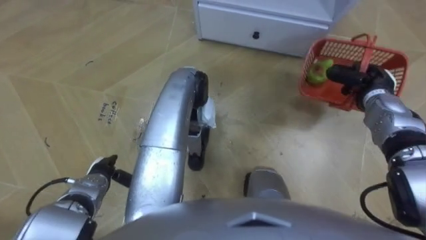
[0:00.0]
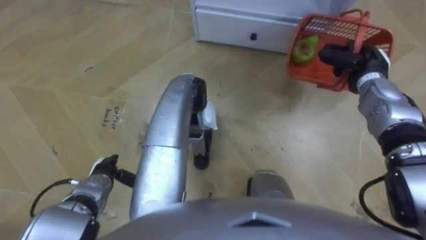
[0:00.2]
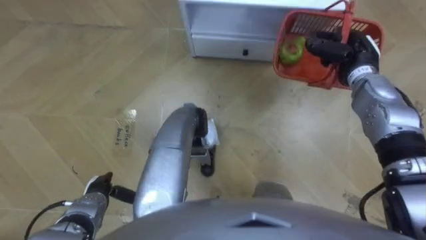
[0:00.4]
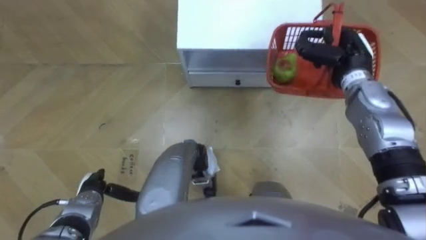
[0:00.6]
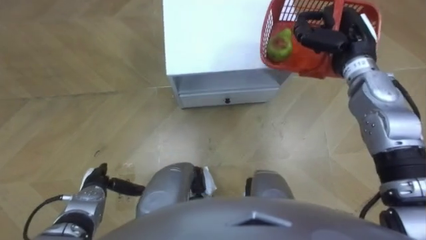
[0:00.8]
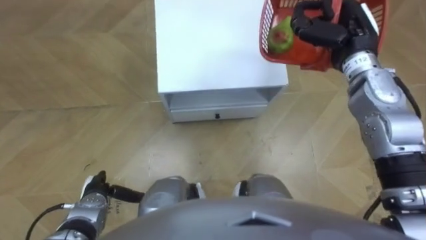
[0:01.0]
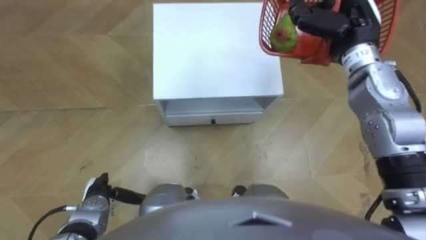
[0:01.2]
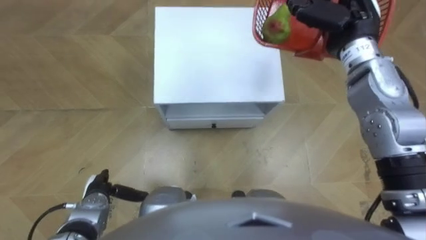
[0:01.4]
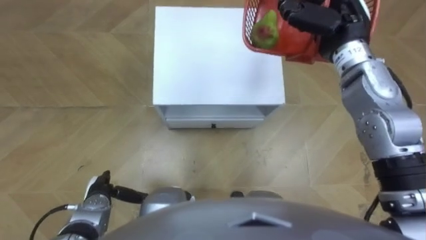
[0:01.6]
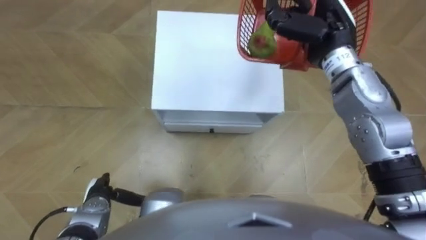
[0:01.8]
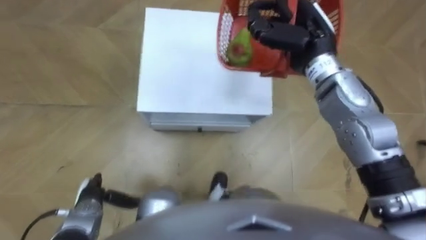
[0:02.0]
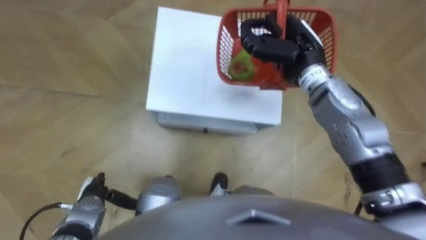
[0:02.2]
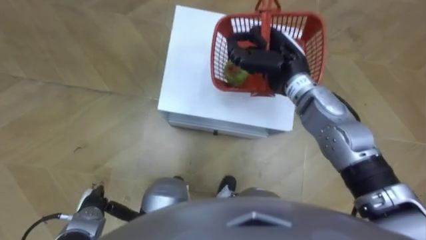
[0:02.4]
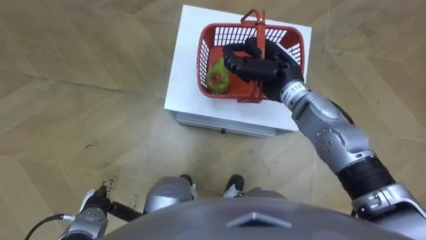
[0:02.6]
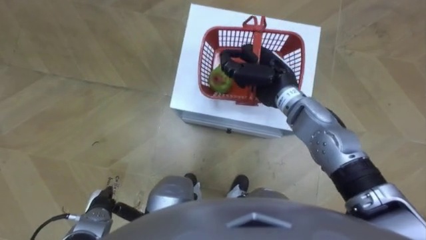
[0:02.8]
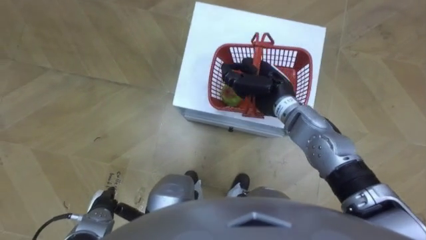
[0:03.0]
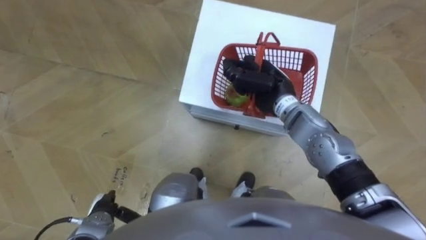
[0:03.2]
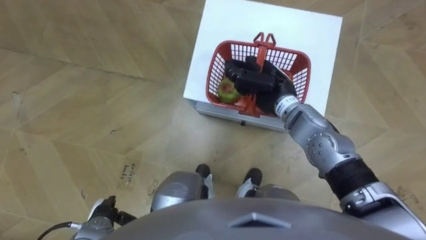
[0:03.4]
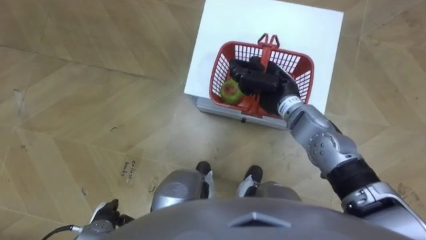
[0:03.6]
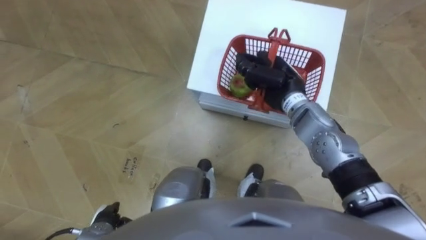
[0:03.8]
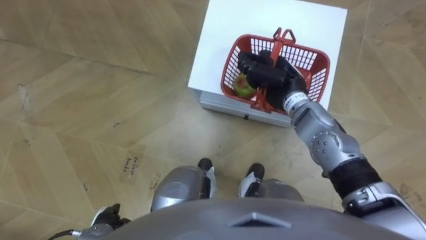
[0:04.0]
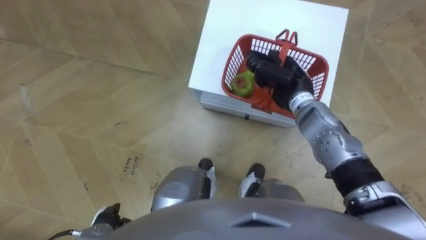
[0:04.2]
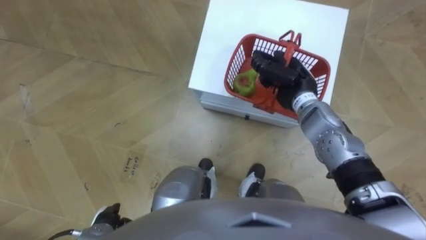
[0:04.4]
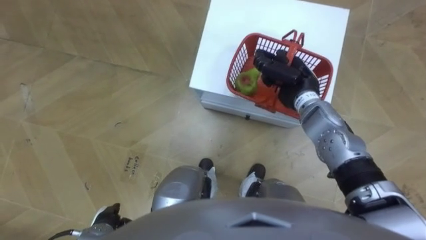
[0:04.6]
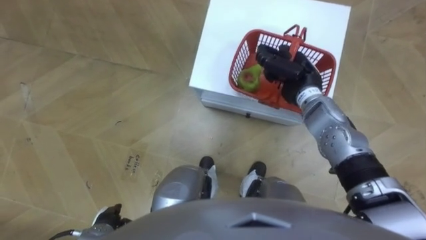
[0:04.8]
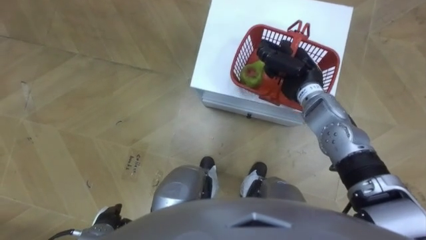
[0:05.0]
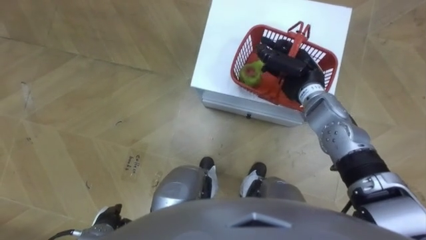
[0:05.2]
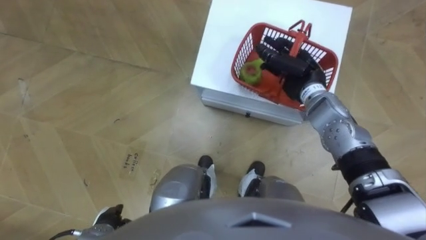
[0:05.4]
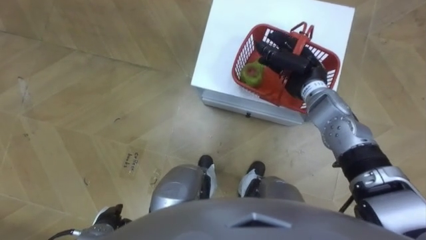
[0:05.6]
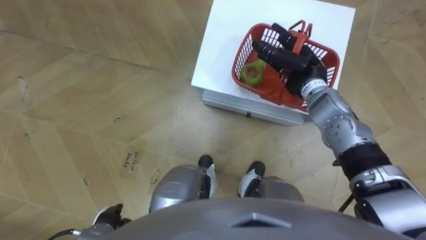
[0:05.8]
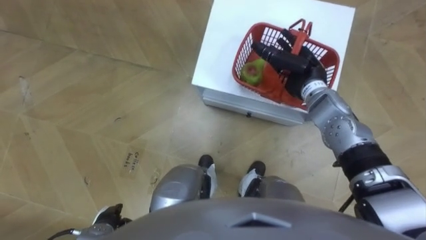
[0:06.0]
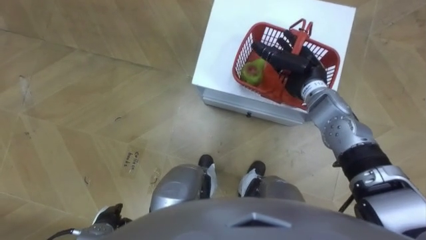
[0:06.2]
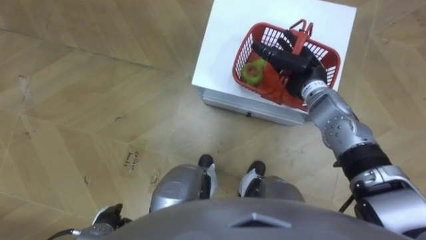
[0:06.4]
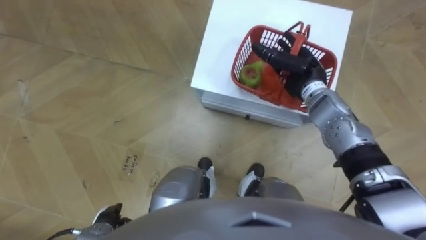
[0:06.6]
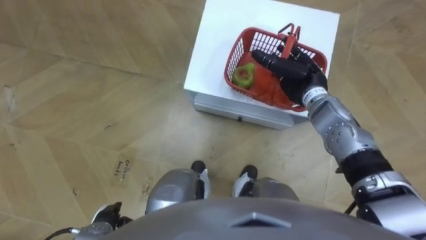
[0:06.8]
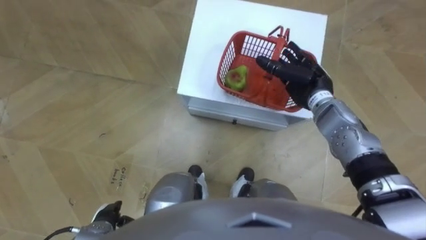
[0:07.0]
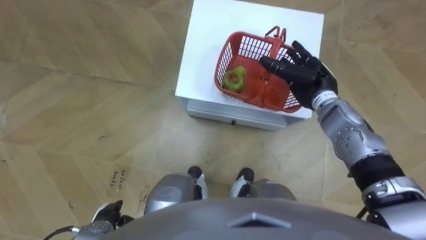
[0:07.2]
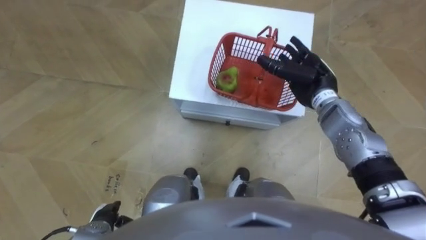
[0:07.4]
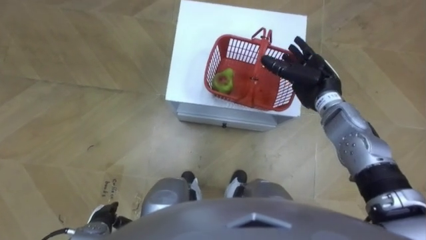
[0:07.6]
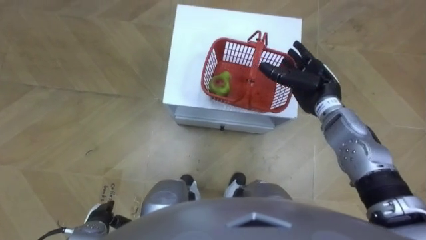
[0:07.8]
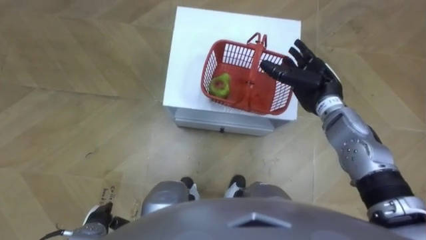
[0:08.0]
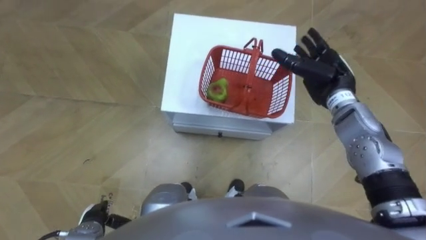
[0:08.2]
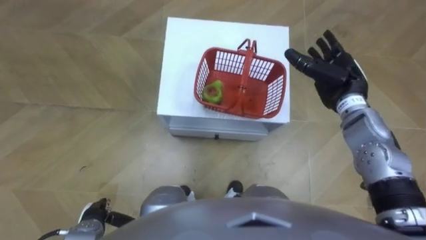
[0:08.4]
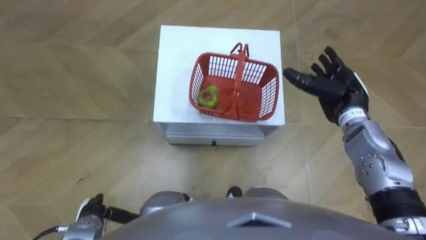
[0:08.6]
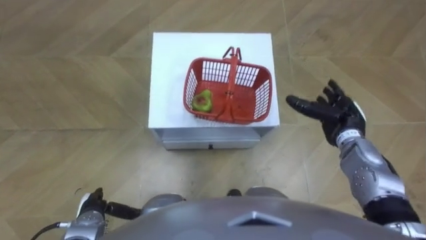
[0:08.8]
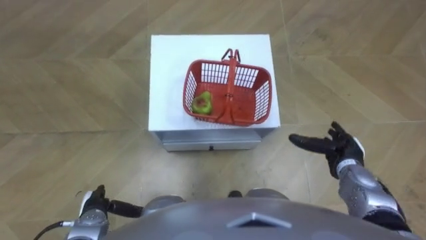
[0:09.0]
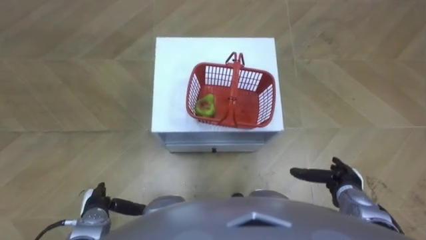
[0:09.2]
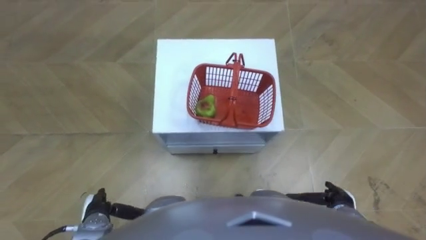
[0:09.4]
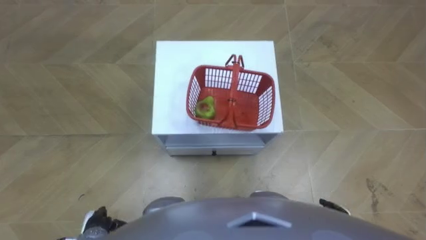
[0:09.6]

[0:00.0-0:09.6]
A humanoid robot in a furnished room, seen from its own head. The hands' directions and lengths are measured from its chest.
Task of the whole recording: Pick up the fruit basket from the floor and place it on the cabinet.
0:00.0 to 0:01.6: The right hand is displaced upward and to the left by roughly 20 cm.
0:01.6 to 0:03.2: The right hand shifts approximately 15 cm downward and to the left.
0:03.2 to 0:04.8: The right hand is displaced to the right by about 5 cm.
0:04.8 to 0:06.4: The right hand opens its fingers.
0:08.0 to 0:09.6: The right hand travels backward and downward by approximately 30 cm.

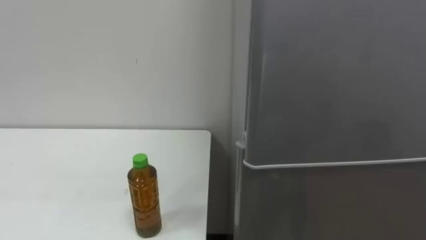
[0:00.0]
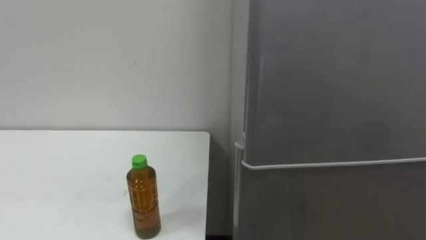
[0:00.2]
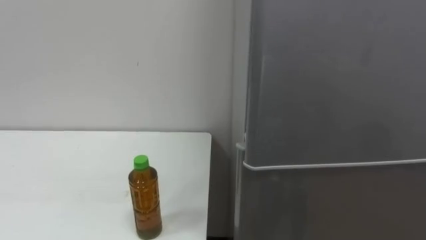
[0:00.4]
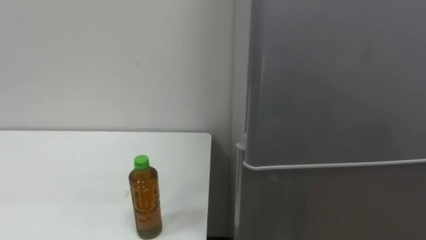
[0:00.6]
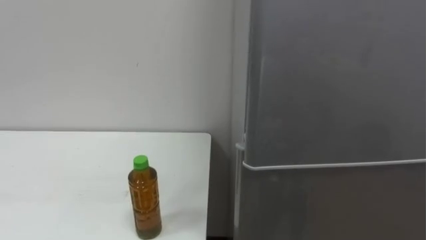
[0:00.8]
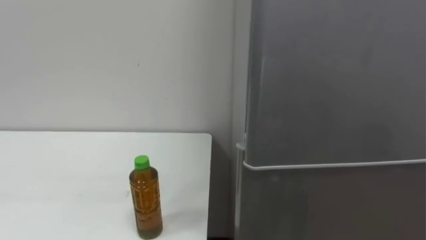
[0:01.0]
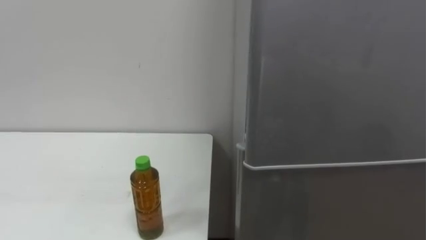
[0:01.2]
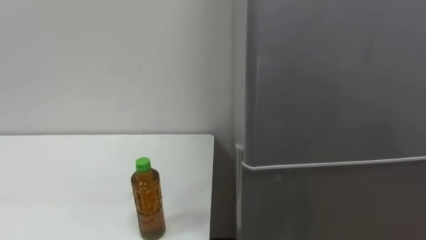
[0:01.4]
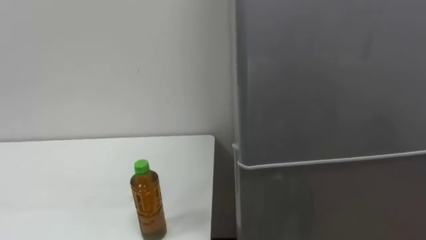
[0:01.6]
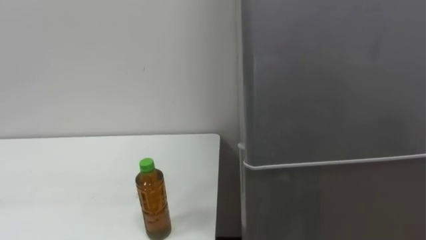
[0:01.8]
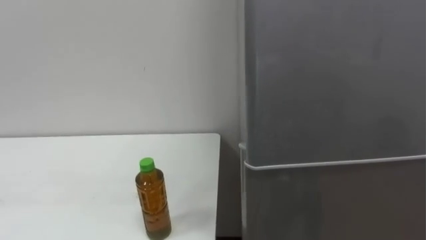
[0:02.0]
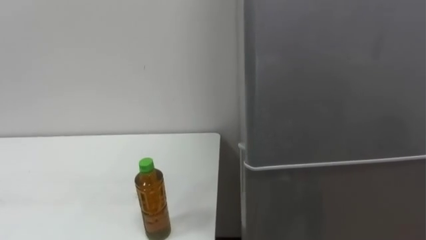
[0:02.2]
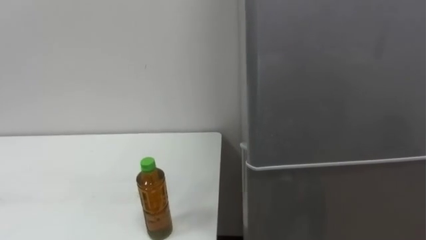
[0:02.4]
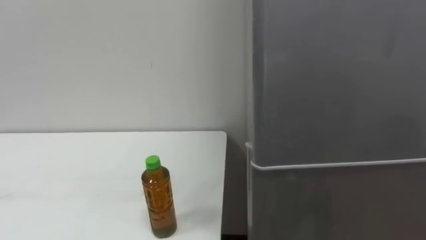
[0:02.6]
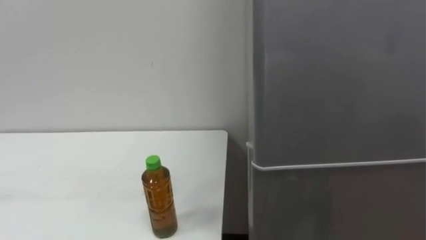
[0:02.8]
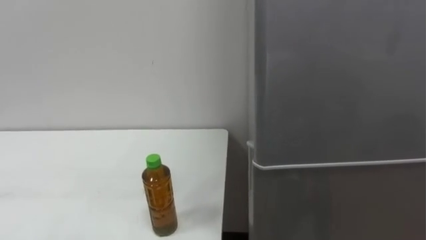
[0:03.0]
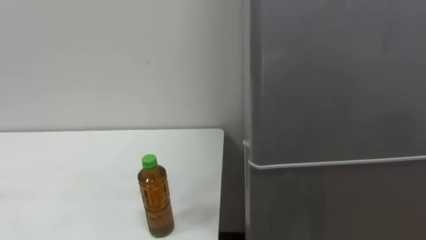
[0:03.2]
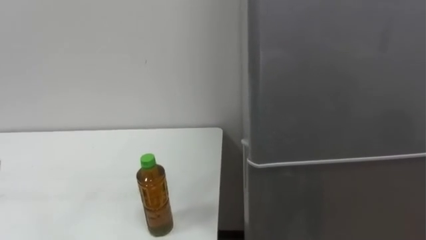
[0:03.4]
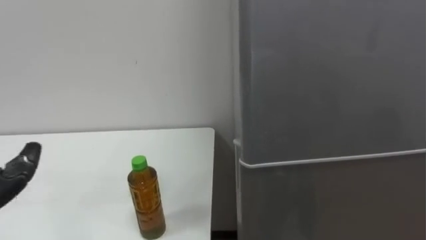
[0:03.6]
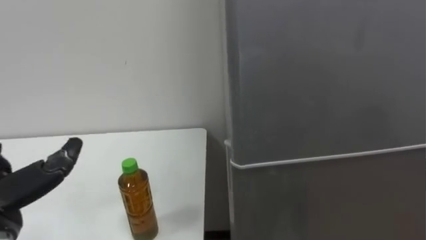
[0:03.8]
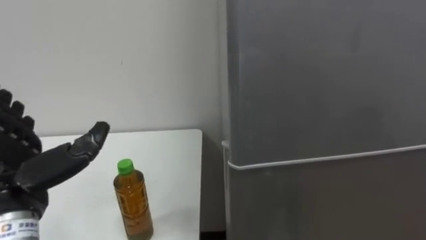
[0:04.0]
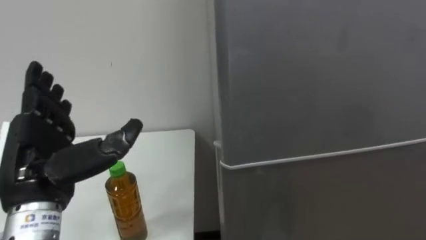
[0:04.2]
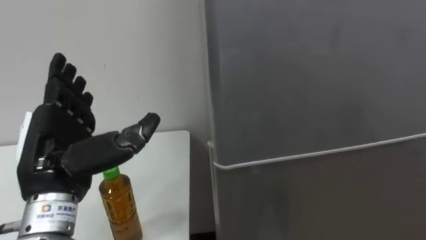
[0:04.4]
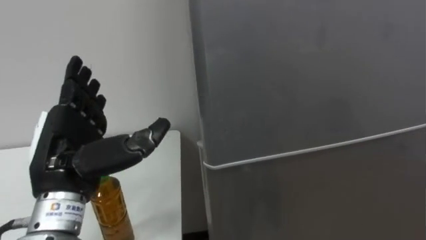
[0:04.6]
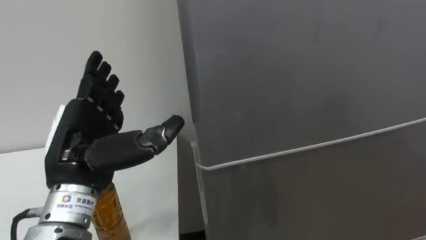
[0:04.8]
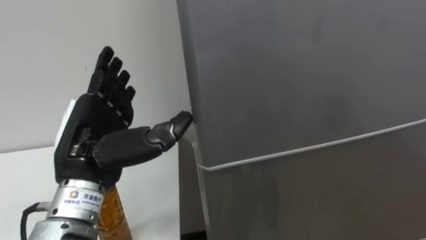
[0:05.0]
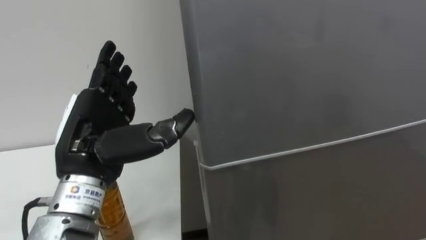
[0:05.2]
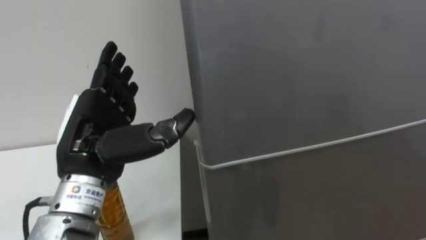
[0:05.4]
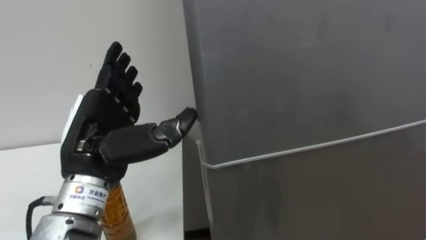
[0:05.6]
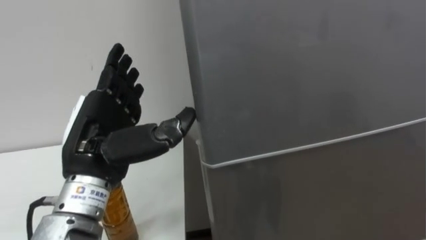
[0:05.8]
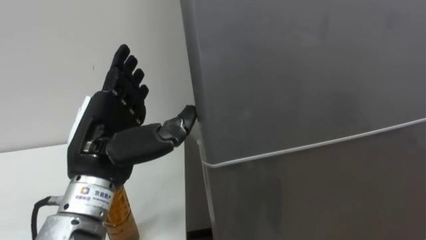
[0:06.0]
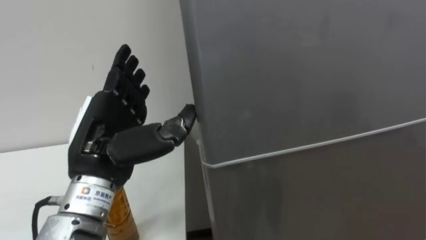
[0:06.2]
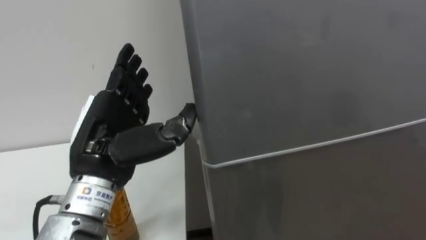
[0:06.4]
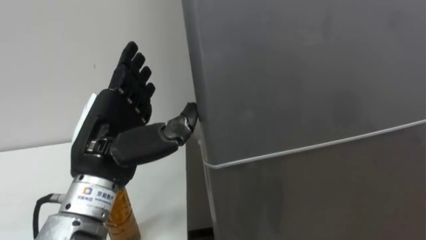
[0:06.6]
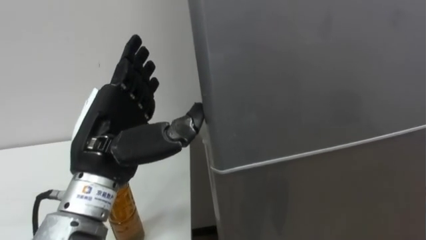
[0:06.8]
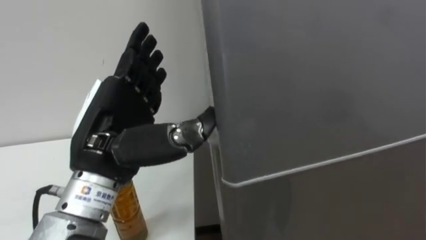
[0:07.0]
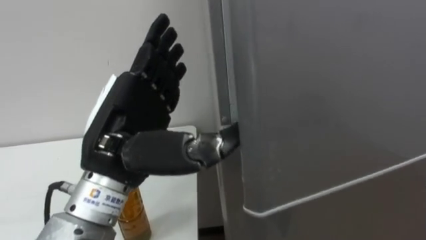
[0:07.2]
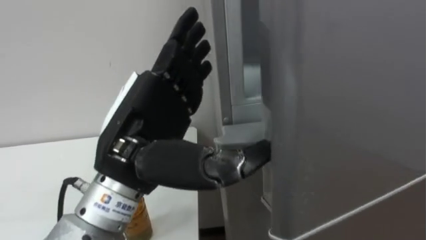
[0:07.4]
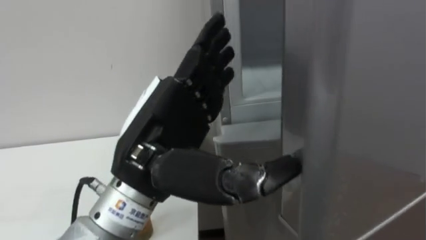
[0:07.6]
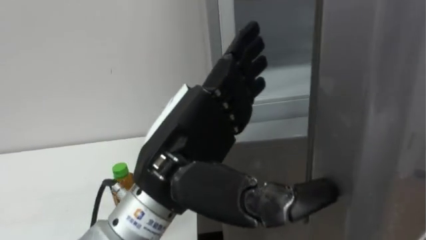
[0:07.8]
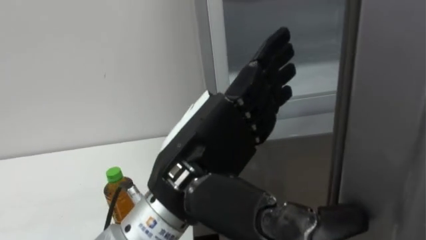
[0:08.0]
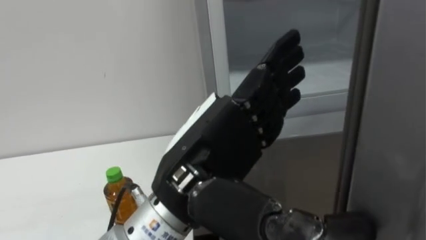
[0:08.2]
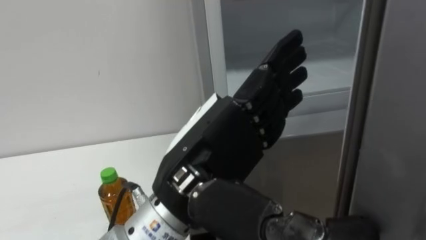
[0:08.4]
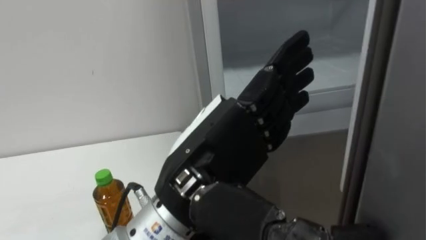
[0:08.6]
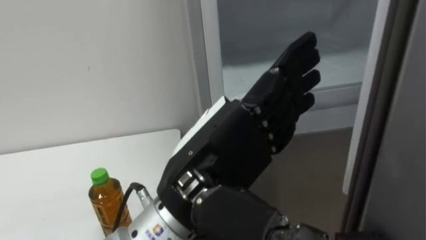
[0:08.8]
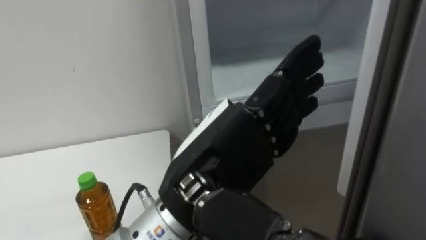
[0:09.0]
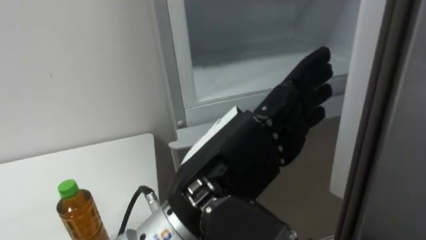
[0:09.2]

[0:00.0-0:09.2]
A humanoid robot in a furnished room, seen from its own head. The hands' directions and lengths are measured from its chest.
Task of the whole recording: Open the upper refrigerator door, put the drink from the table into the refrigerator, and then close the refrigerator door.
0:04.6 to 0:06.2: The left hand travels to the right by about 5 cm.
0:06.2 to 0:07.6: The left hand goes approximately 5 cm to the right.
0:07.6 to 0:09.2: The left hand is displaced to the right by roughly 5 cm.
